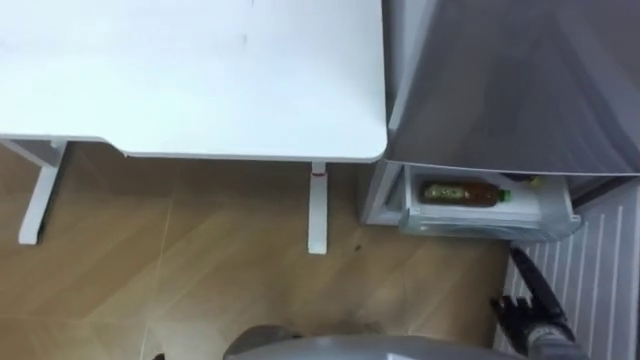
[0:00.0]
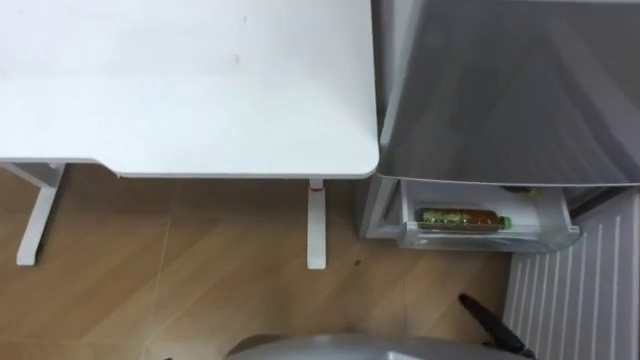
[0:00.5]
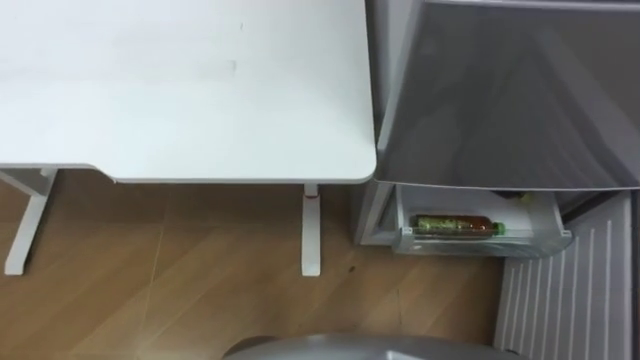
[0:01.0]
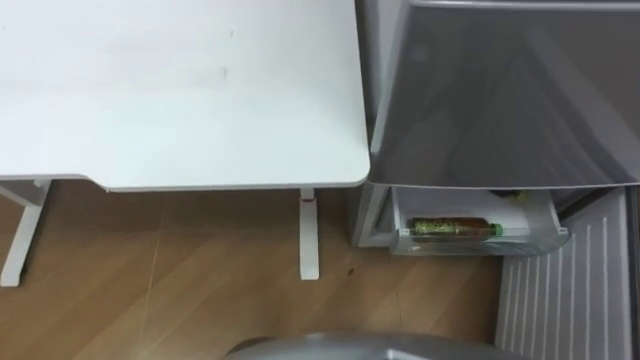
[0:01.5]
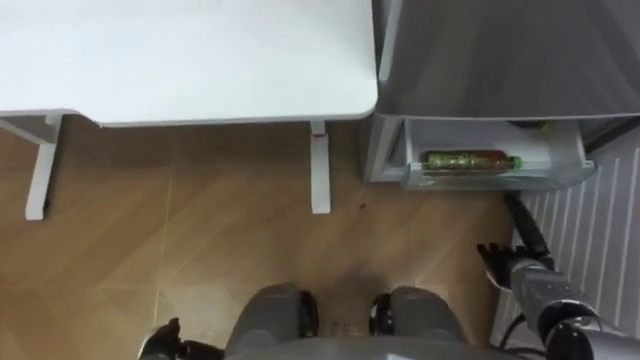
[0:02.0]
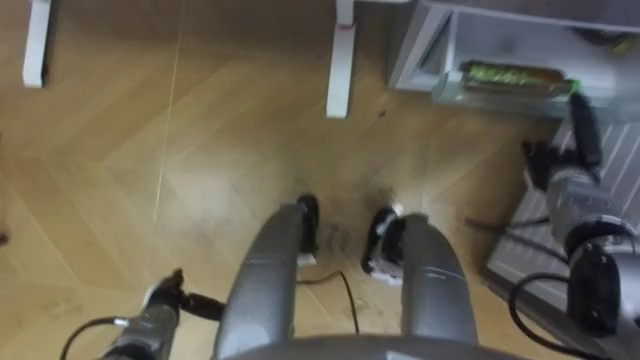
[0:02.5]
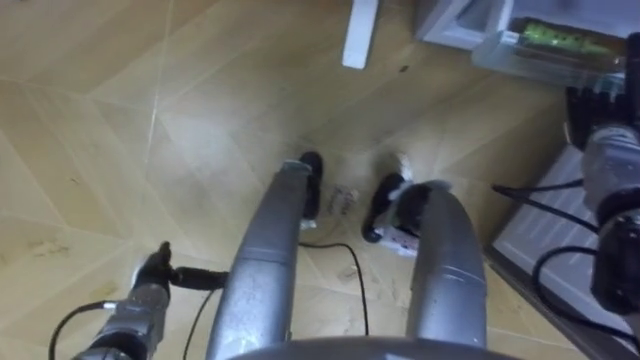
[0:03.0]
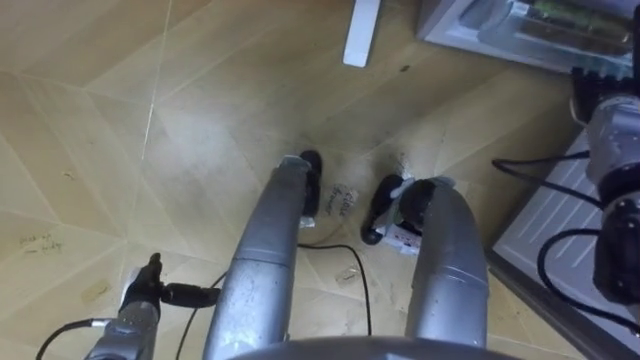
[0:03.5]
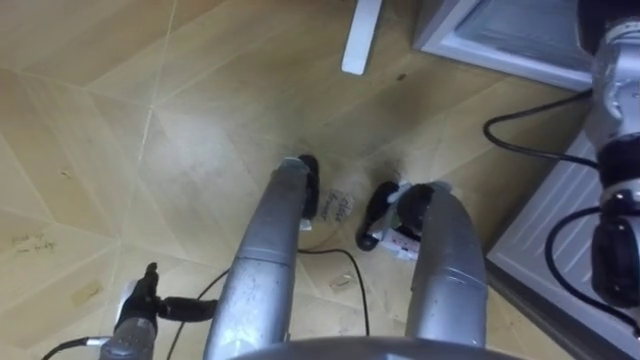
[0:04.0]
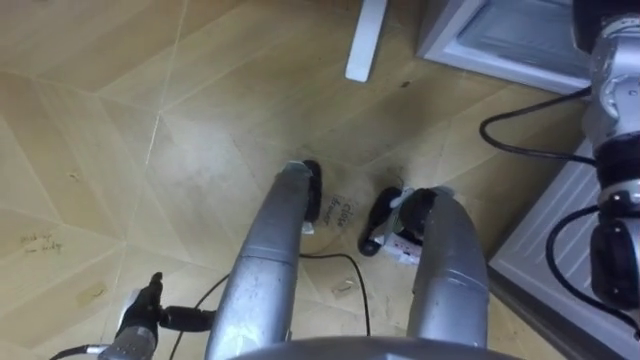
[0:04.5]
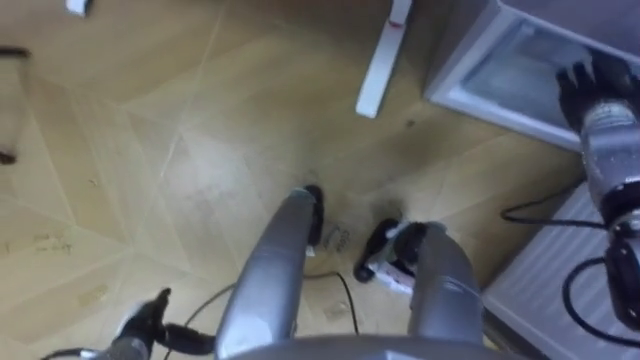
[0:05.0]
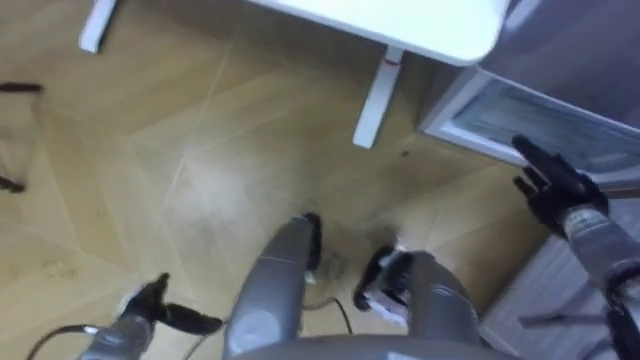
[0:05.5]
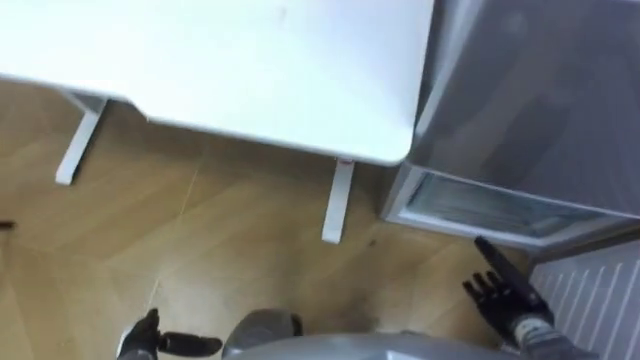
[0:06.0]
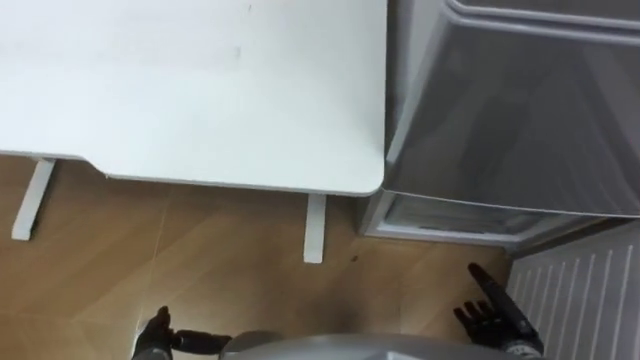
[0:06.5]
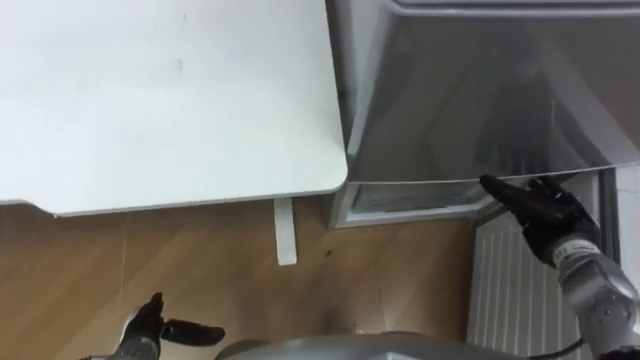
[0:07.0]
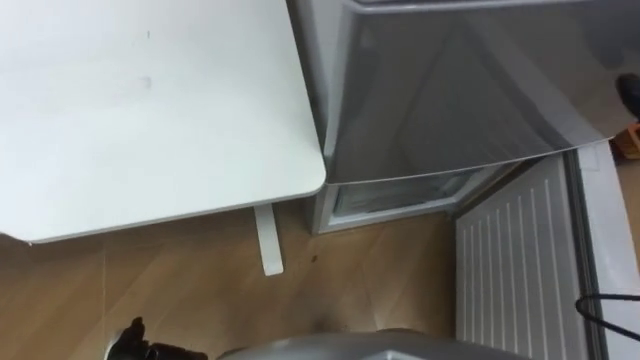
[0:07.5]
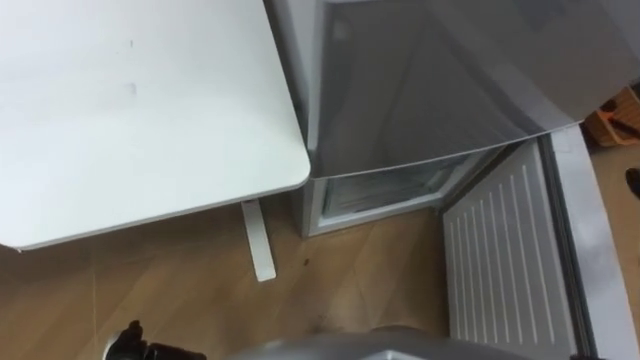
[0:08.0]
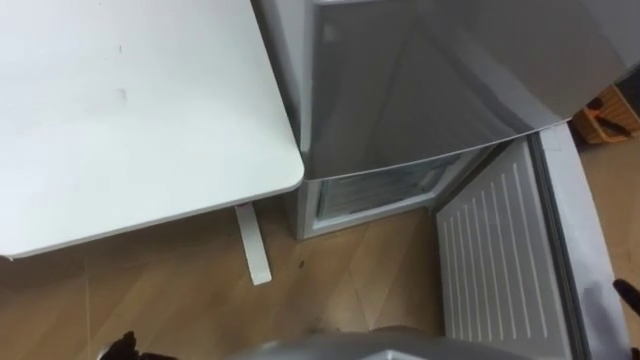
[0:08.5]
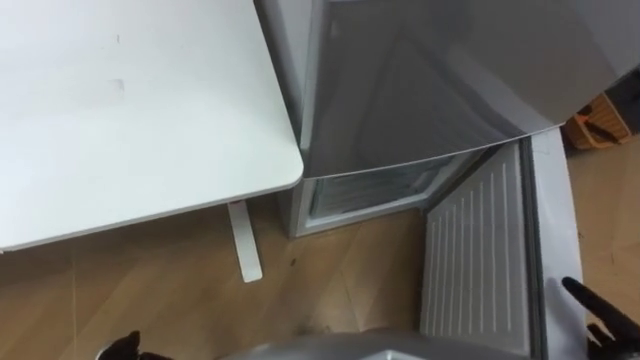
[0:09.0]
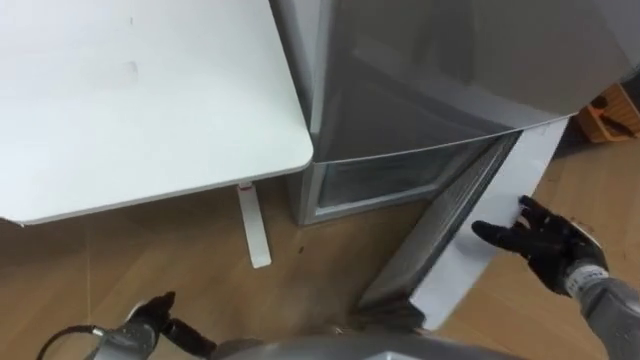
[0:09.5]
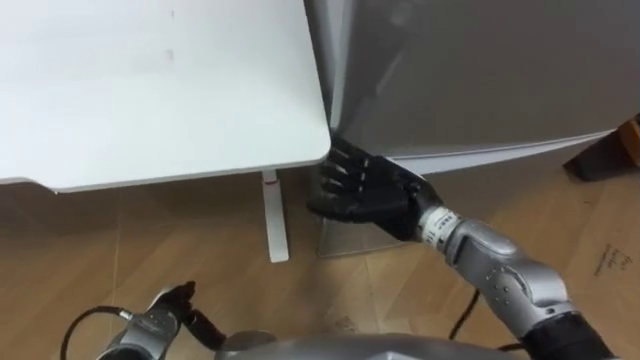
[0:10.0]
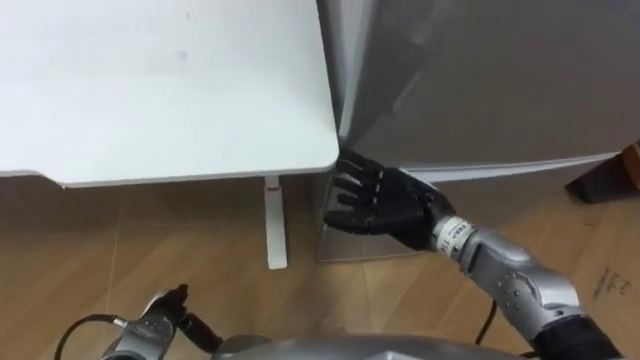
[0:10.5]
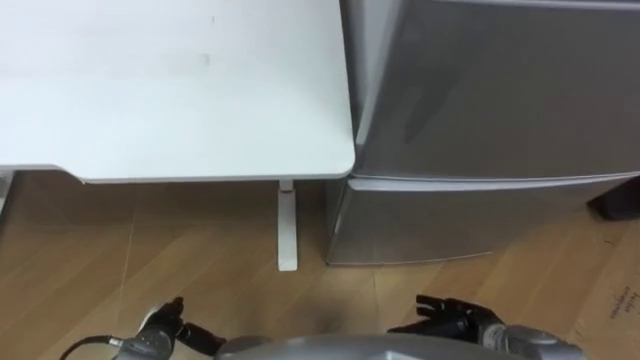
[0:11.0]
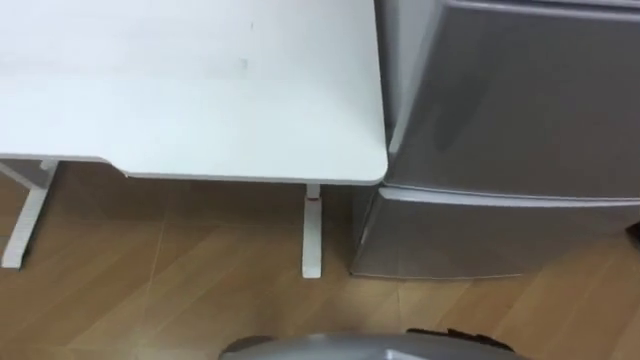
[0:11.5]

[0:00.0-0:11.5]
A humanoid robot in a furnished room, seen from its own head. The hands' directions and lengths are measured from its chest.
Task of the whole recording: Place the drink on the table on the bottom shelf of the refrigerator, then close the drawer and the refrigerator door.
0:02.0 to 0:04.0: The left hand is displaced forward by about 5 cm. Meanwhile the right hand moves upward and forward, about 35 cm.
0:04.0 to 0:06.0: The right hand moves backward and downward, some 40 cm, while the left hand goes roughly 5 cm backward.

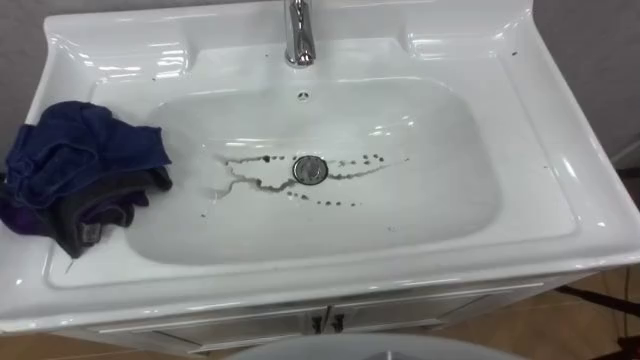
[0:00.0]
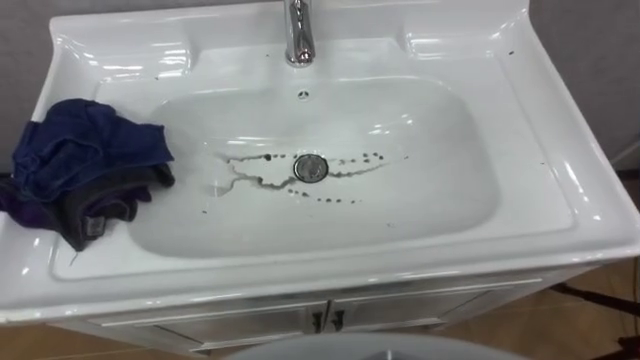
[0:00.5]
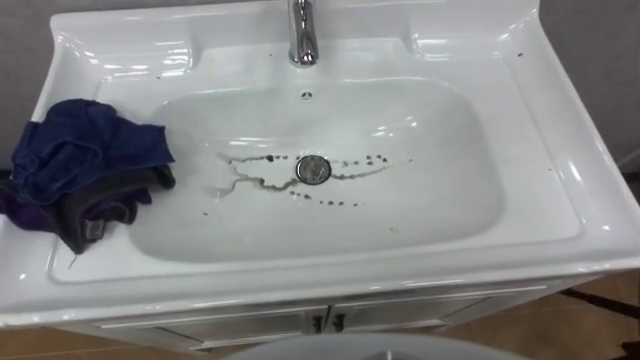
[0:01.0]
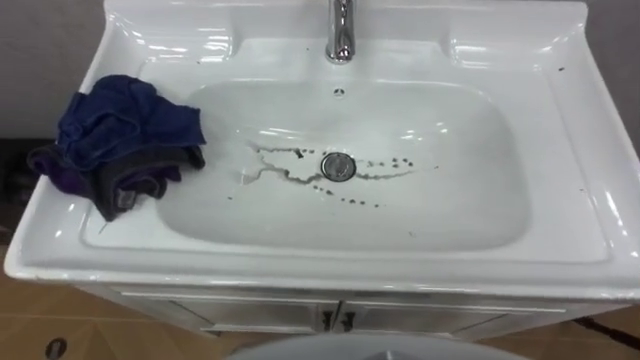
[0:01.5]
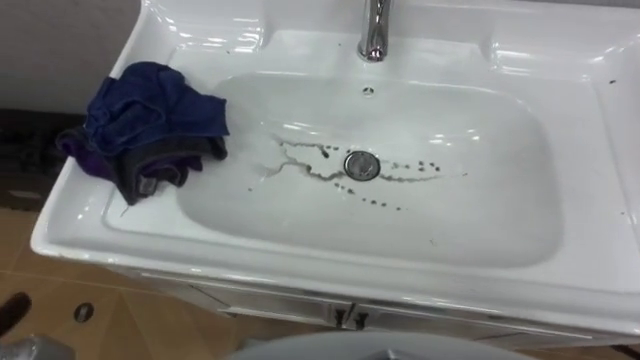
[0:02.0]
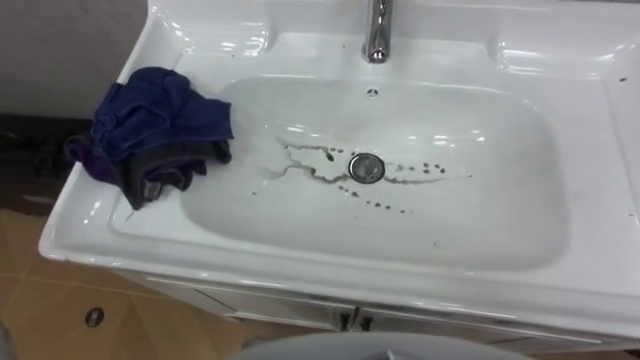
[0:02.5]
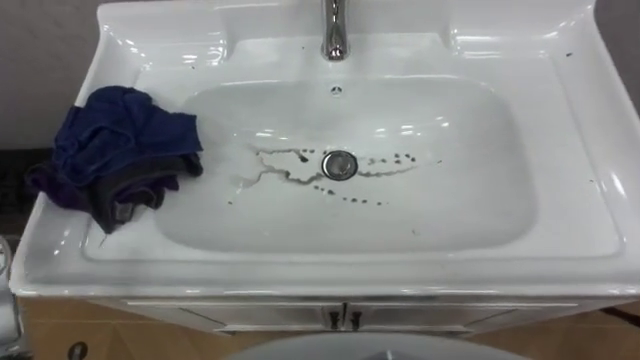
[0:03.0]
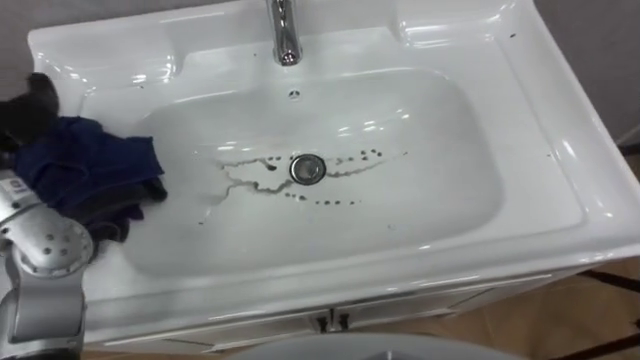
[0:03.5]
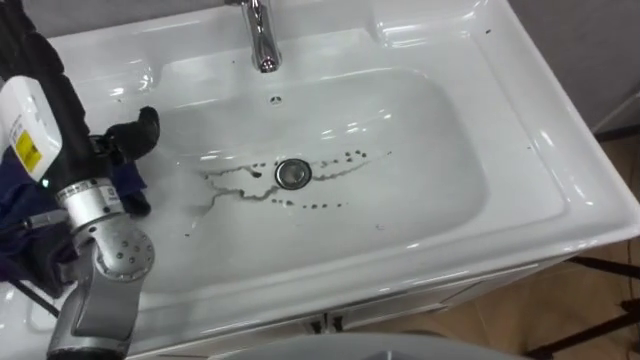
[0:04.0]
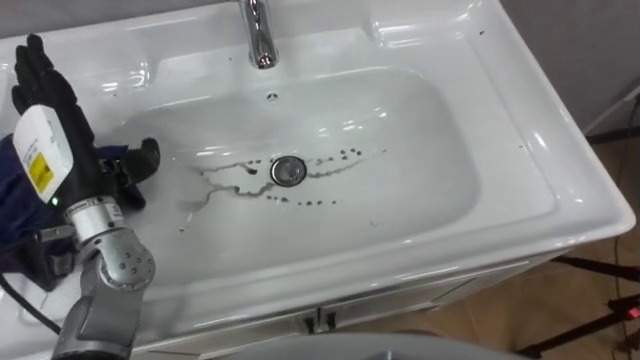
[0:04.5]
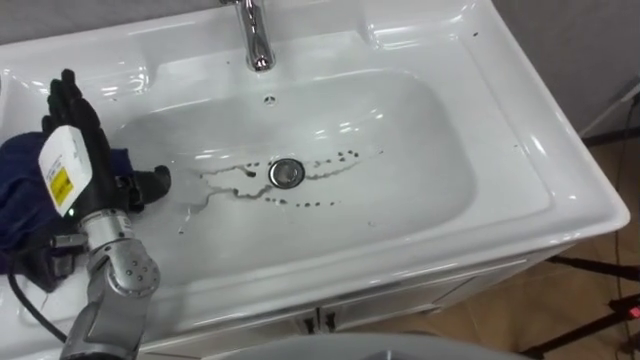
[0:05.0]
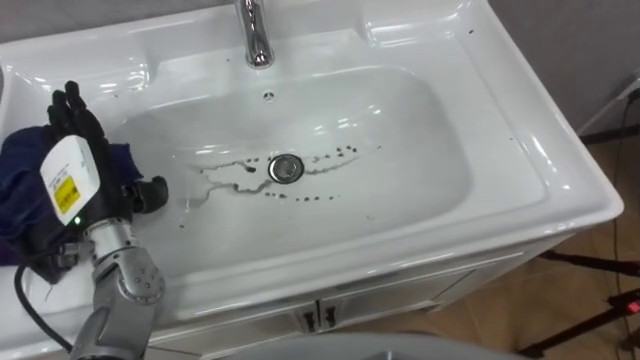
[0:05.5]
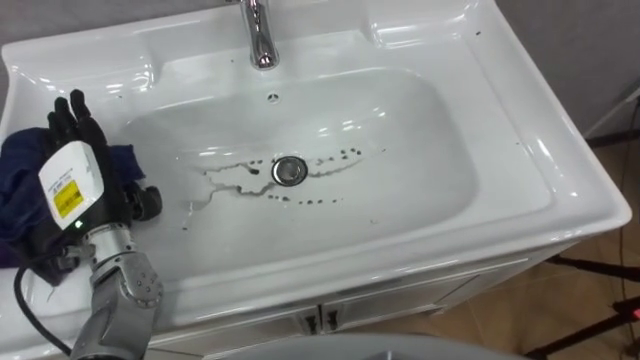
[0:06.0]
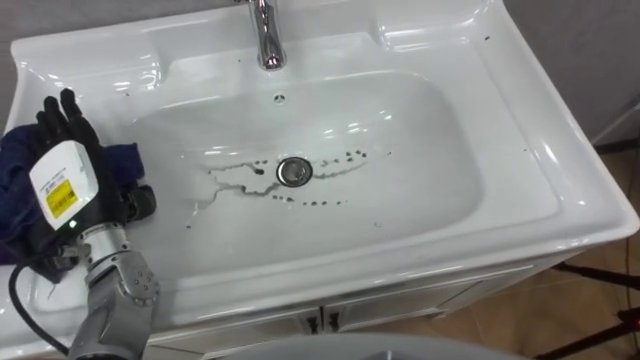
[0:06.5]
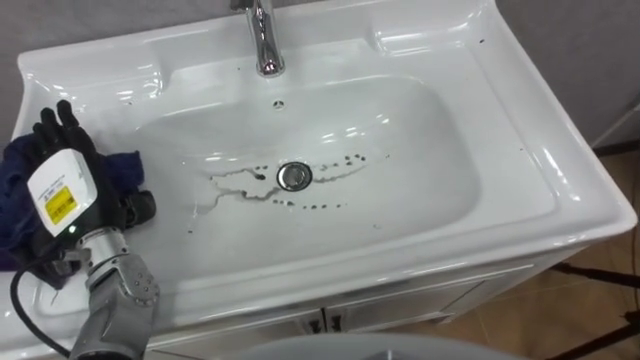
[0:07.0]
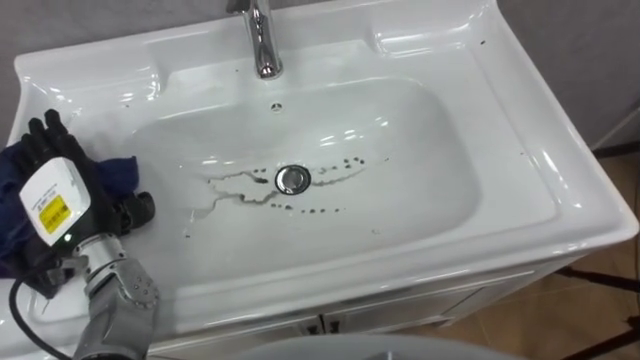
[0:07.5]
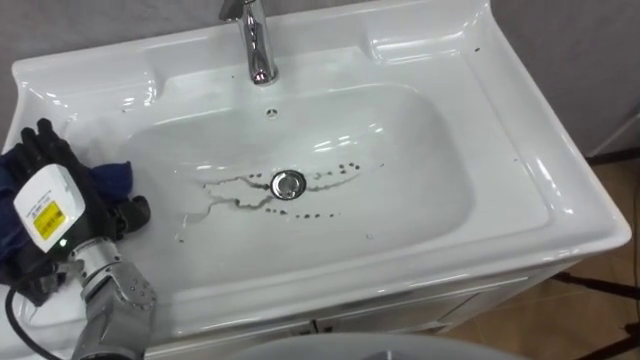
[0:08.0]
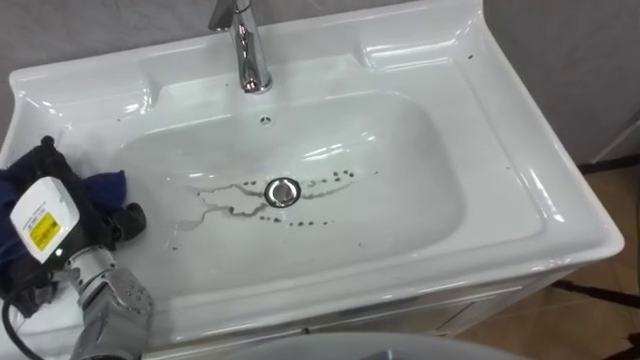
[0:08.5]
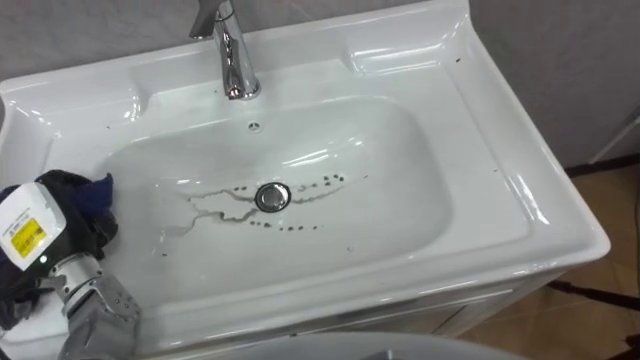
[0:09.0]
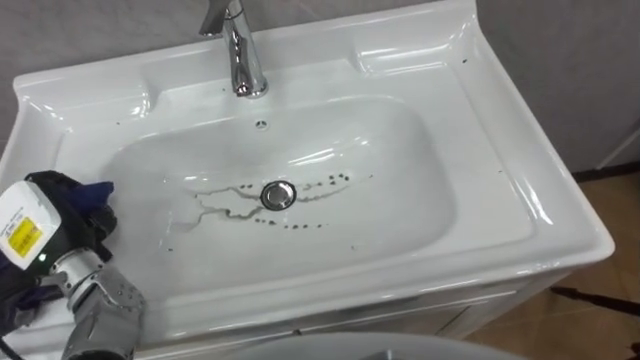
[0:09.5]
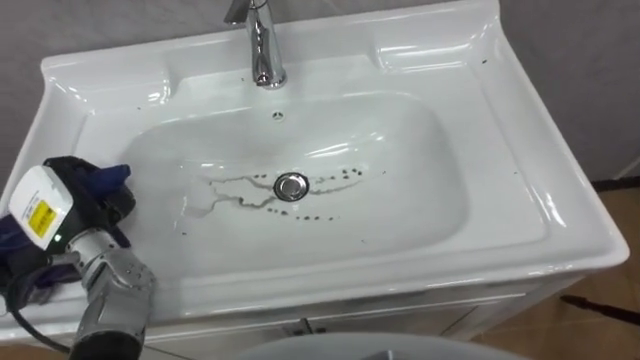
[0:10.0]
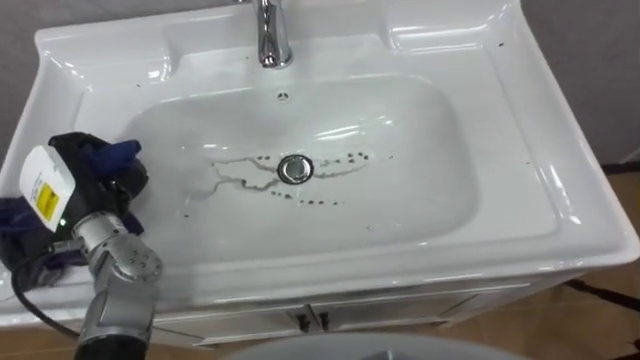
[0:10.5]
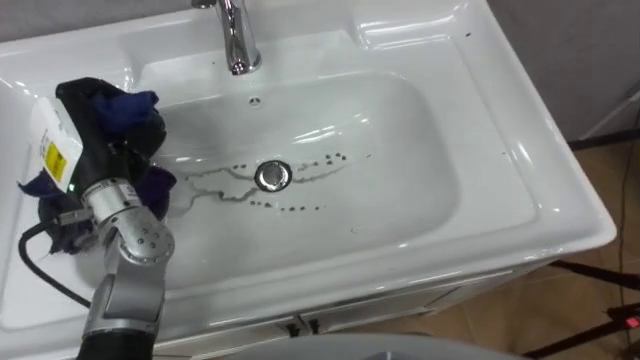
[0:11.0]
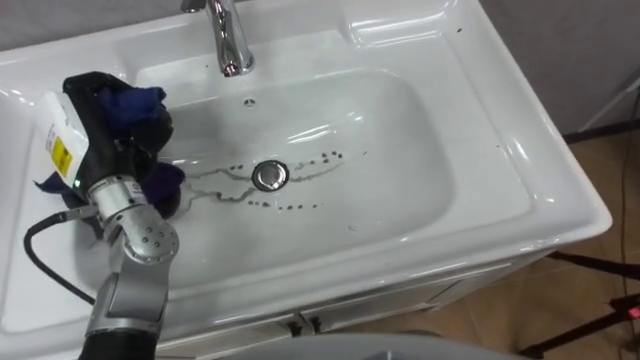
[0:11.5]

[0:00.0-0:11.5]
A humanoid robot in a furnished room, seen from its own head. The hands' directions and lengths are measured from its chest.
Task of the whole recording: Use the cloth on the right to wipe away the black stain in the sink.
0:04.0 to 0:06.0: The left hand goes approximately 10 cm downward.
0:07.5 to 0:09.5: The left hand closes up.
0:09.5 to 0:11.5: The left hand travels upward, forward and to the right by approximately 15 cm.
